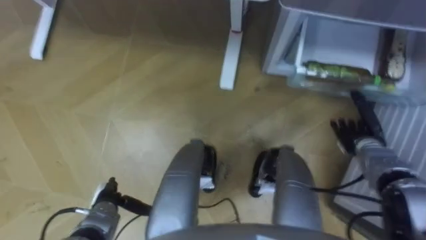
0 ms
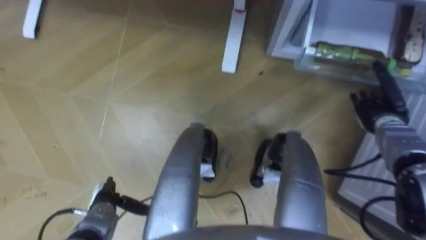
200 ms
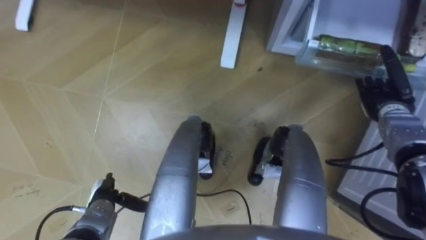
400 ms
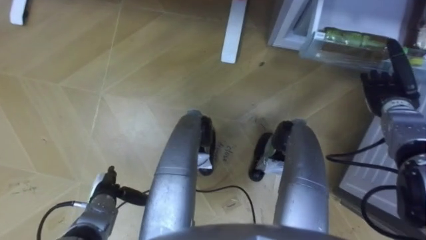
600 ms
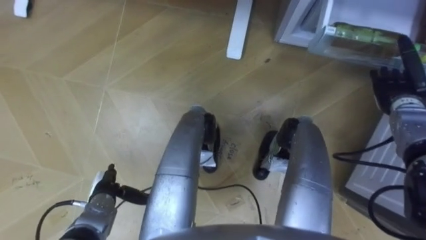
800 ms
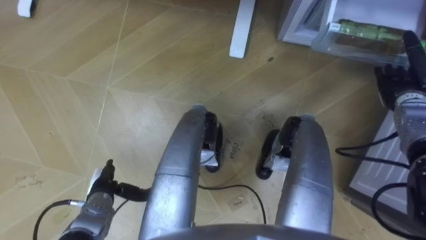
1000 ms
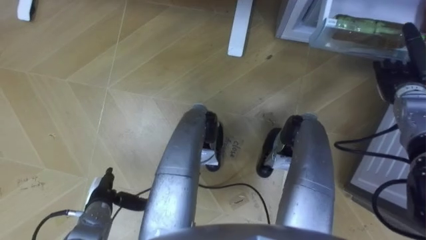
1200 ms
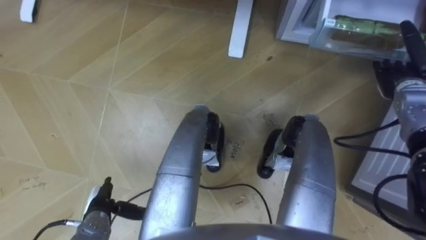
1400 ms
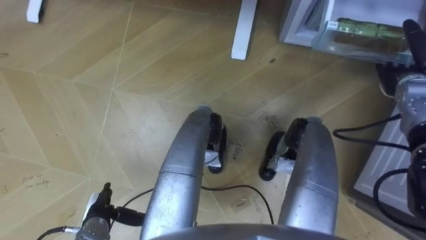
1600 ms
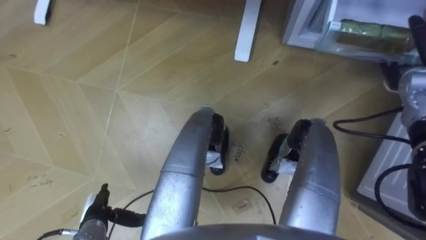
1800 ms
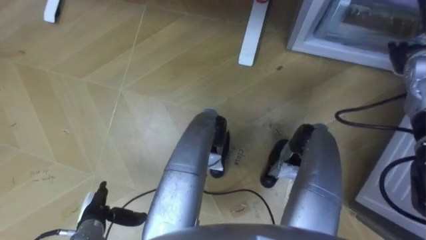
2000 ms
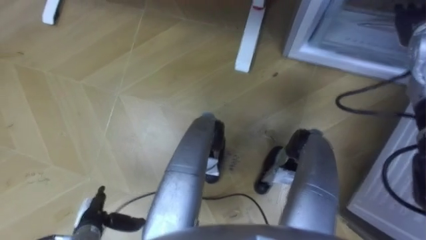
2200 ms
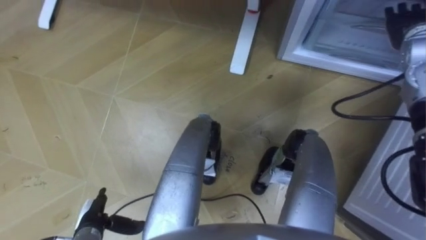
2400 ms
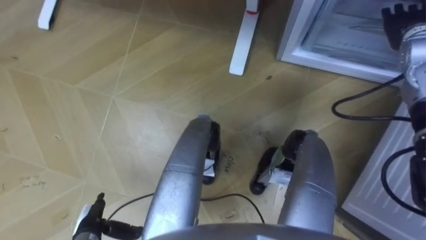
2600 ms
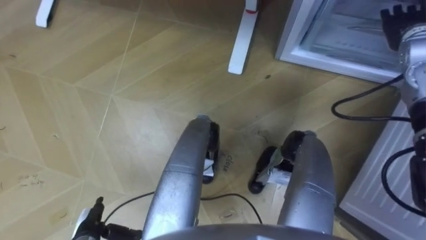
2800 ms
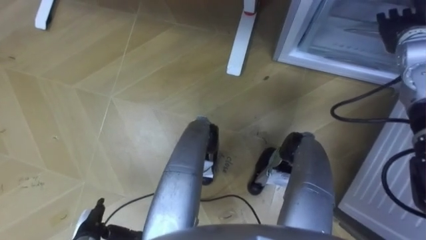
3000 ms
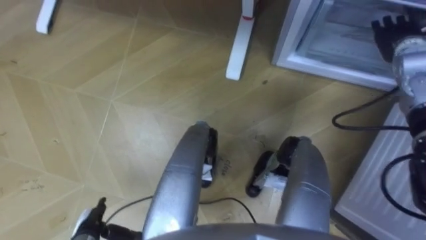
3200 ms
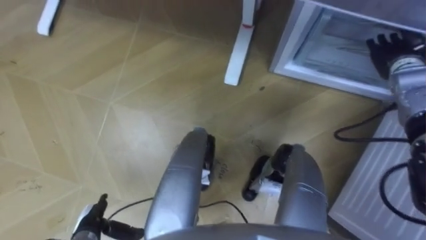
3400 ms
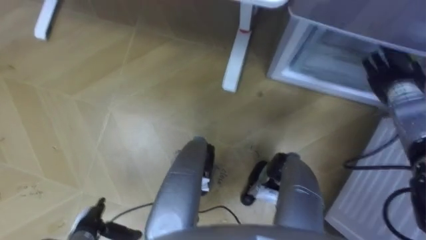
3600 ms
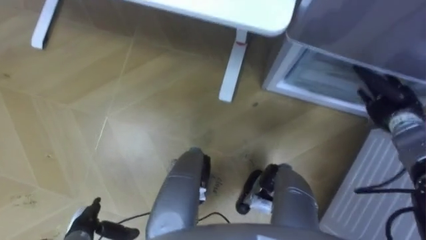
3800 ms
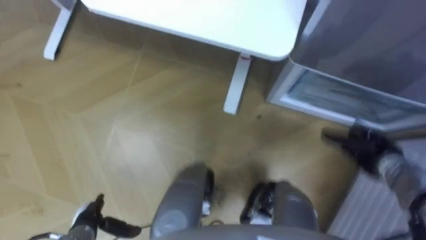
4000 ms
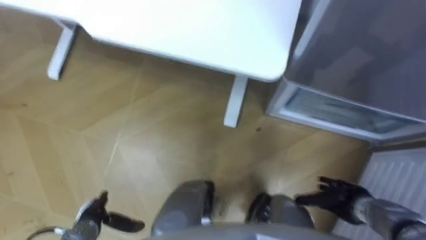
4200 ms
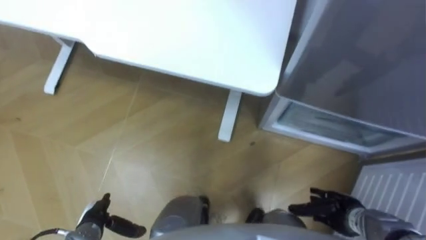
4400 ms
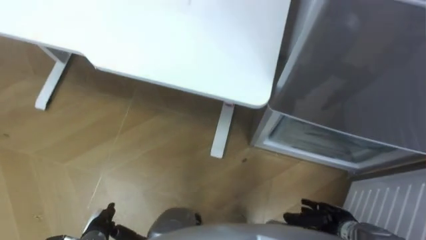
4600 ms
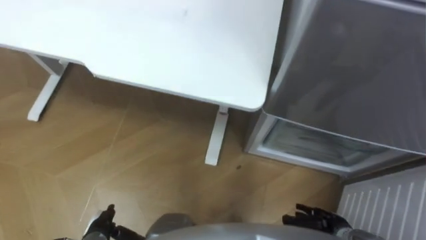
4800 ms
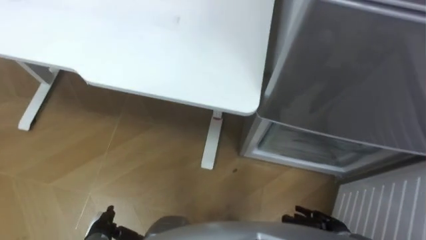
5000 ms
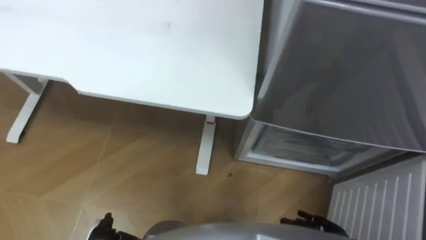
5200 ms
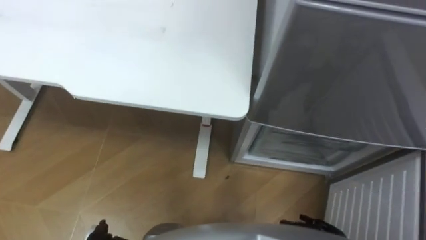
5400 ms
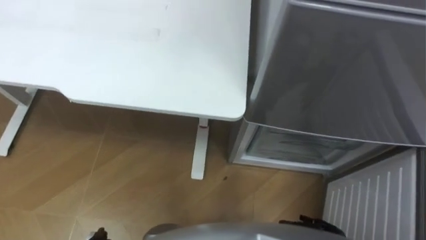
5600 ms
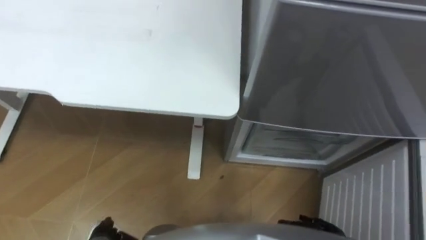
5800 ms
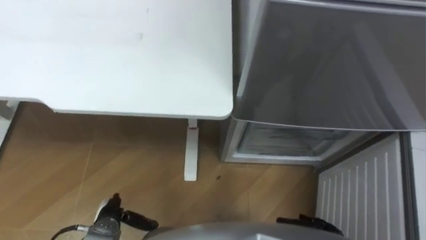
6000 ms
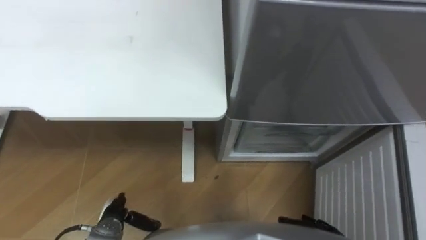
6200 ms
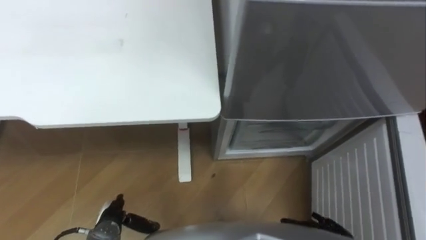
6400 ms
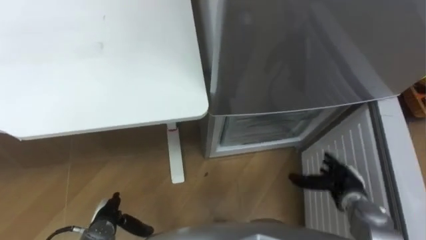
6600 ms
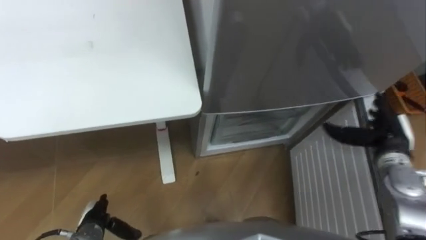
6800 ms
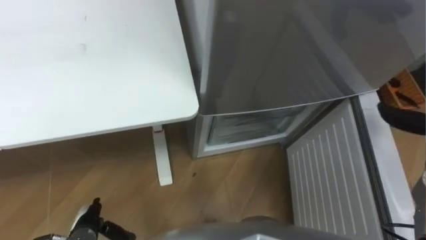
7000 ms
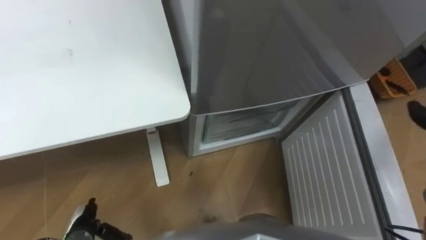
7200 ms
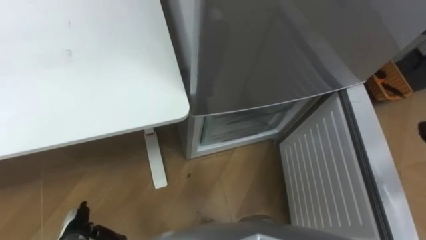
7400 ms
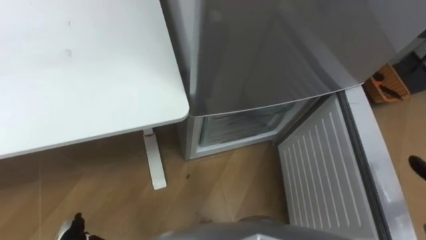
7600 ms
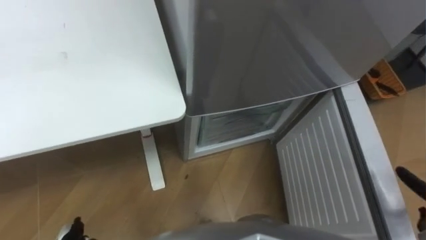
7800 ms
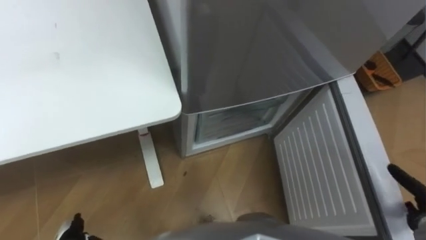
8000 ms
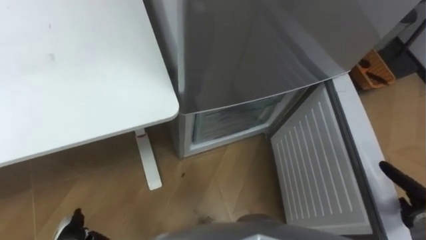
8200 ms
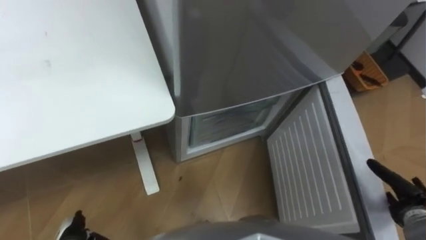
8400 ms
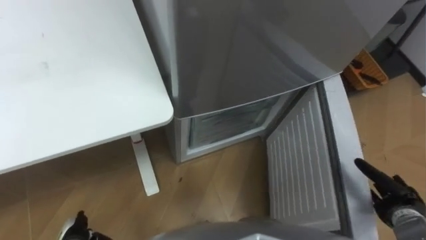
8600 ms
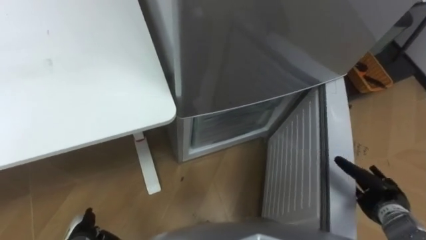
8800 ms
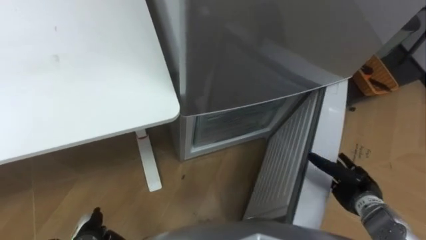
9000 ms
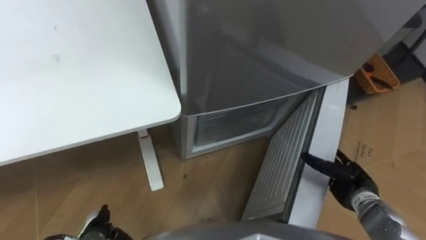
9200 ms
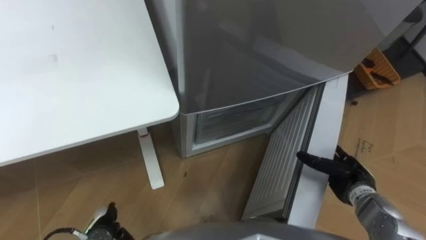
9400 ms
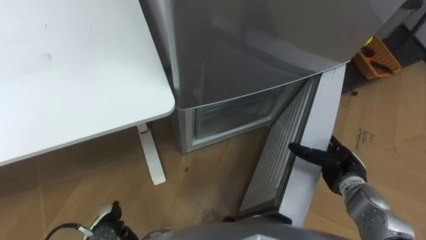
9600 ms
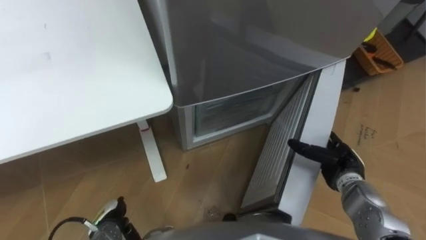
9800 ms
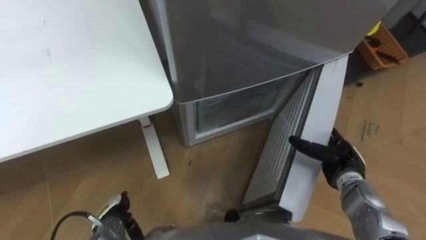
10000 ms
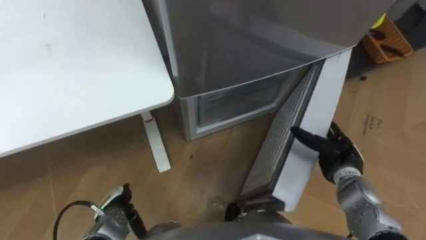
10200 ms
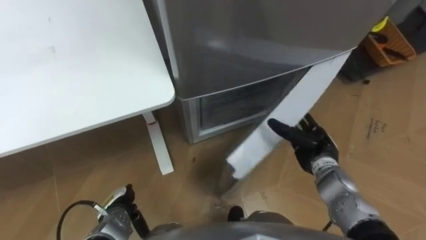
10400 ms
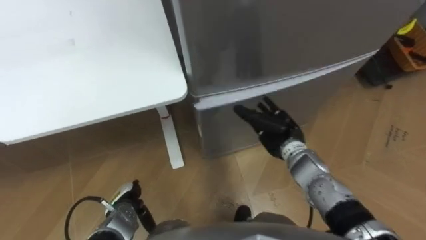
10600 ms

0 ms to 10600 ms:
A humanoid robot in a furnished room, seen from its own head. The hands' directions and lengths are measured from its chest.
Task of the whole recording: Place the drink on the table on the bottom shelf of the refrigerator, then close the drawer and the refrigerator door.
0 ms to 1600 ms: The right hand goes approximately 15 cm upward, forward and to the right.
1600 ms to 3000 ms: The right hand moves upward, about 10 cm.
3000 ms to 4600 ms: The right hand heads backward and downward, covering some 40 cm.
9000 ms to 10600 ms: The left hand travels to the right and forward by some 10 cm; the right hand travels to the left and forward by about 20 cm.

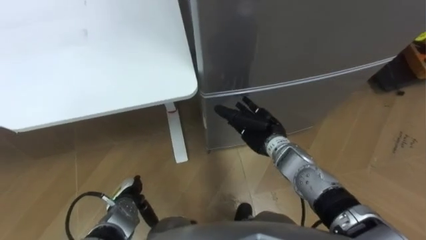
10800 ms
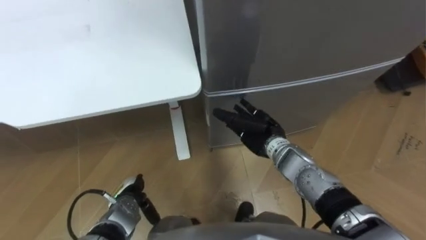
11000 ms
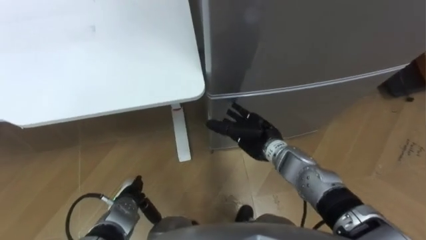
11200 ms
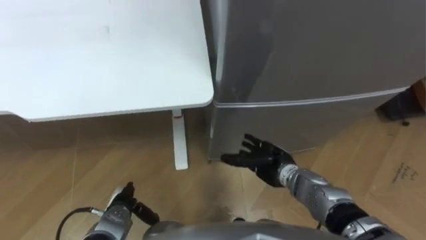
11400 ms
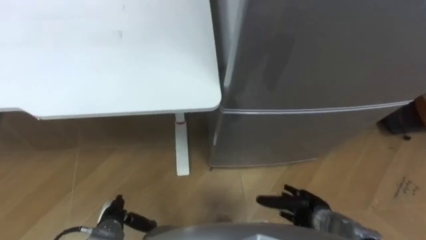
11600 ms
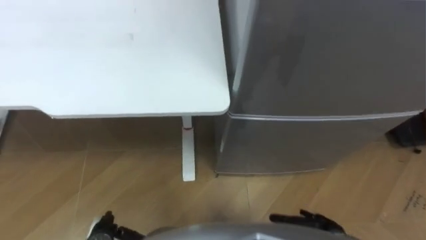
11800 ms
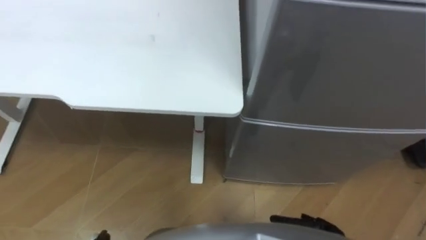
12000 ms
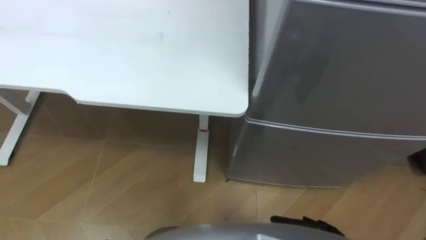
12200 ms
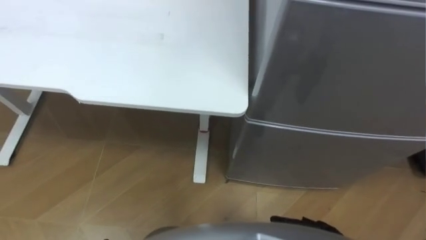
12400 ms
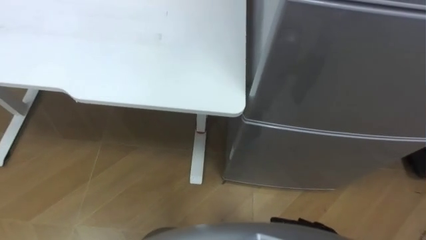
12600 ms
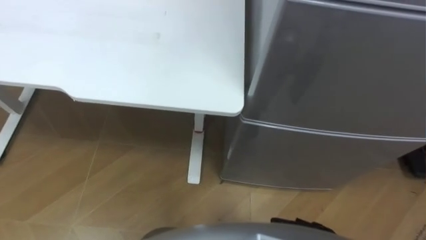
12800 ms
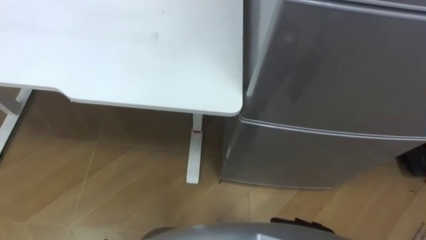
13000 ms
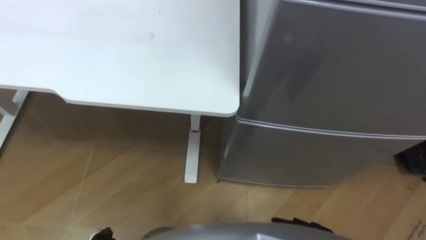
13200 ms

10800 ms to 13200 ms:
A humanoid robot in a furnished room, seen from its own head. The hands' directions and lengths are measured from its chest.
Task of the whole recording: Place the drink on the table on the bottom shelf of the refrigerator, then close the drawer and the refrigerator door.
10800 ms to 12000 ms: The robot turns to its left by approximately 20 degrees. The right hand is displaced backward, to the right and downward by some 30 cm.

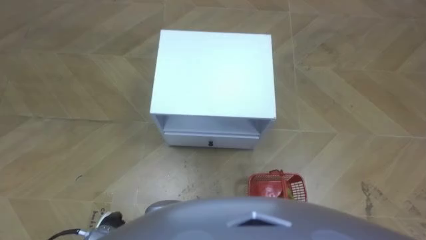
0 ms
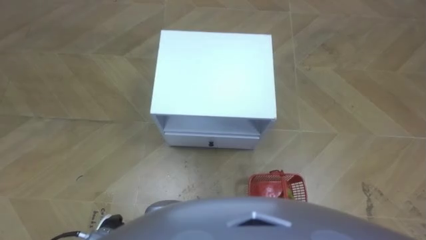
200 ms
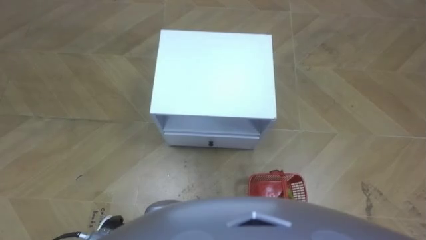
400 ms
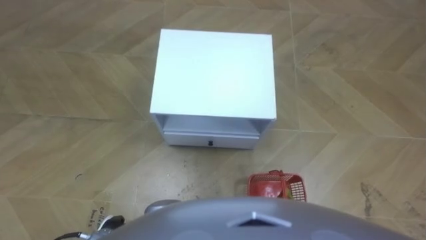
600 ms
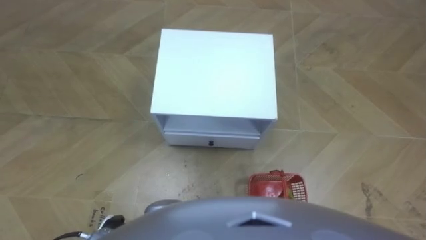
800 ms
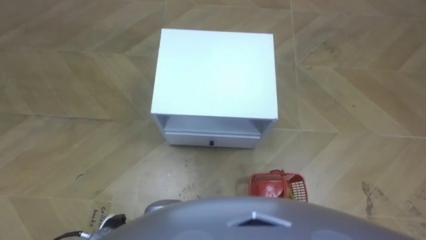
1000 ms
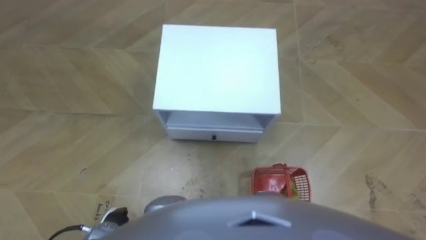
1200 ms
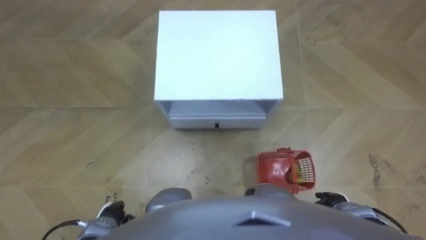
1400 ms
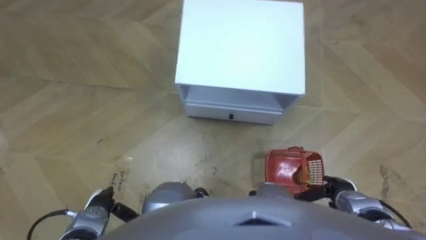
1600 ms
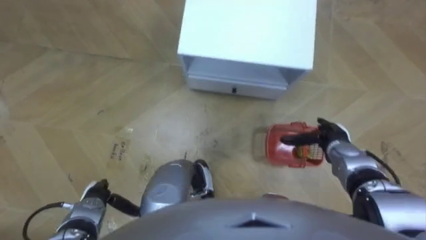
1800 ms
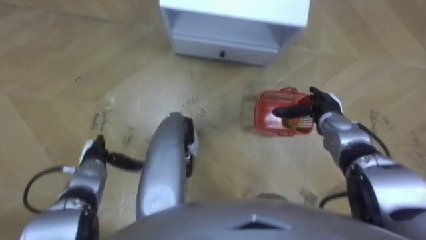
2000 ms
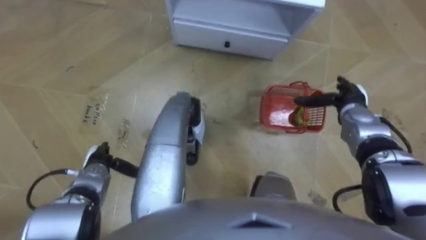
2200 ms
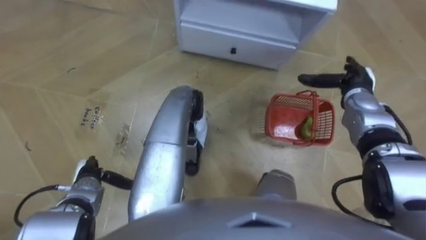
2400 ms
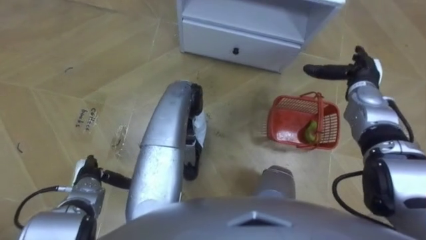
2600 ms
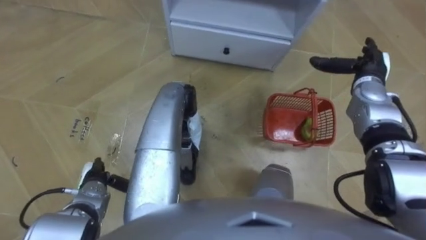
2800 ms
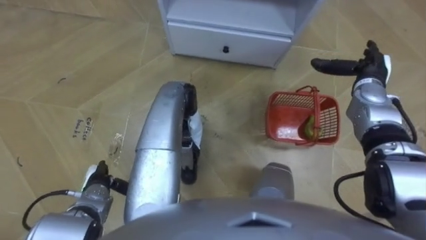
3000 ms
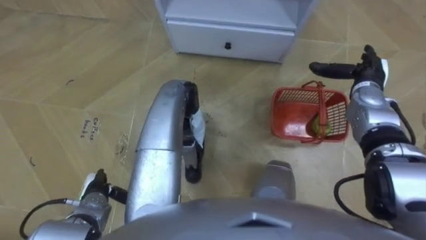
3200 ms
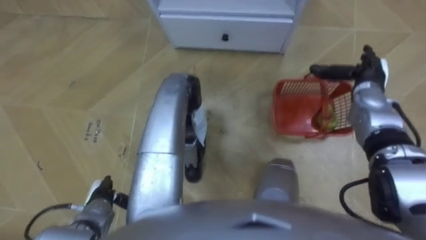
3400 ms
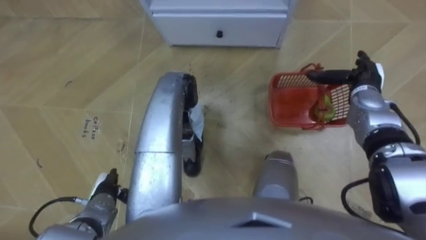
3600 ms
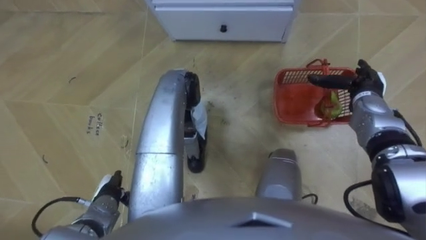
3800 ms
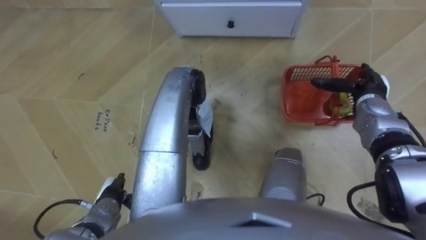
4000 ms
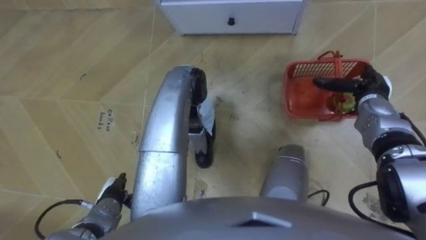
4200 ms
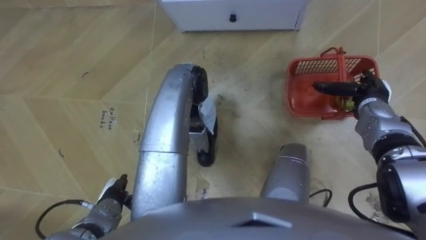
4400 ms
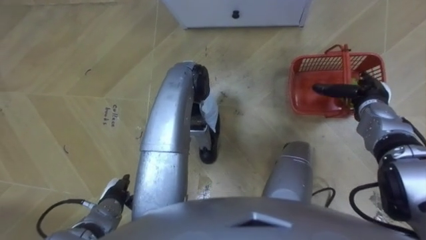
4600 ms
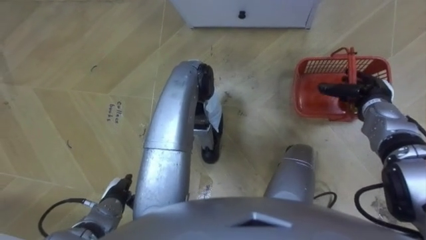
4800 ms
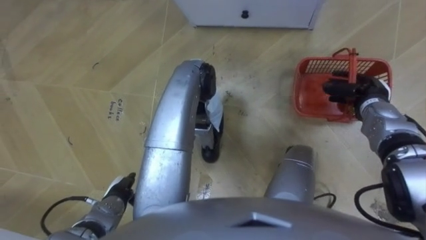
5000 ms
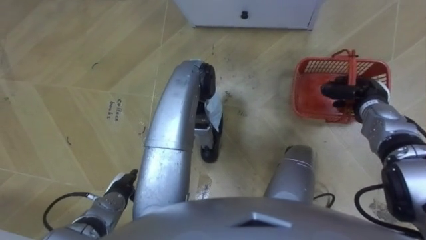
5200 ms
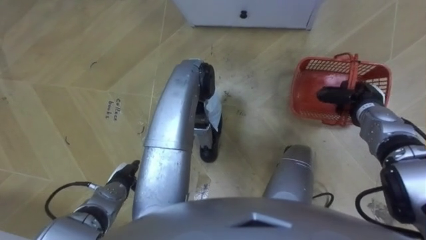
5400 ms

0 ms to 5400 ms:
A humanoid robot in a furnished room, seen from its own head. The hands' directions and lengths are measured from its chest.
Task of the whole recording: Pick up the fruit basket from the floor and place it on the cabinet.
1400 ms to 2800 ms: The right hand is displaced forward and upward by approximately 30 cm; the left hand shifts some 10 cm forward.
2800 ms to 4000 ms: The left hand ends up about 5 cm from where it was.
4000 ms to 5400 ms: The right hand closes up.
